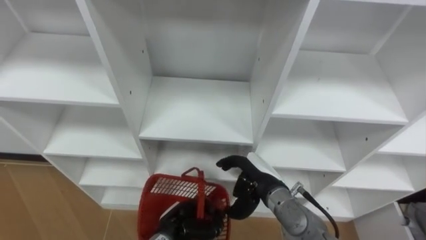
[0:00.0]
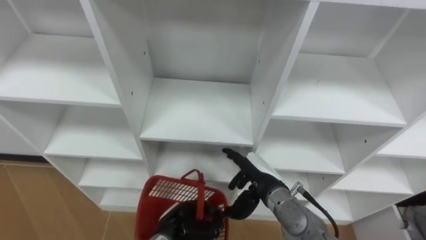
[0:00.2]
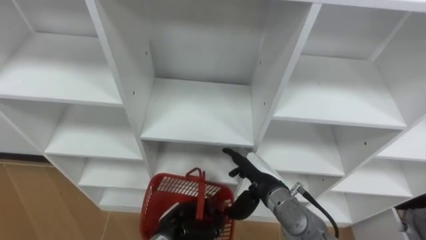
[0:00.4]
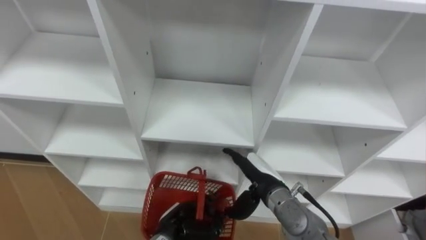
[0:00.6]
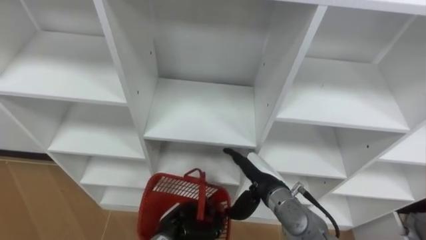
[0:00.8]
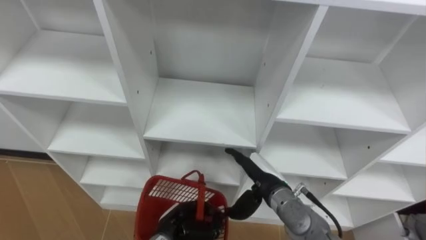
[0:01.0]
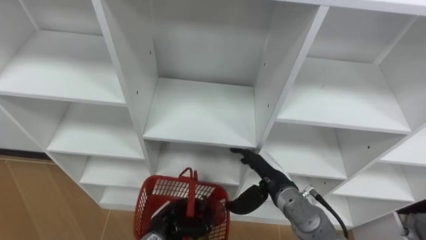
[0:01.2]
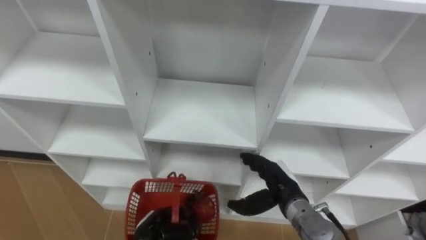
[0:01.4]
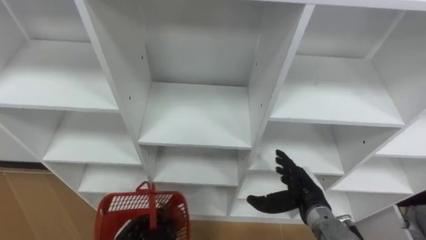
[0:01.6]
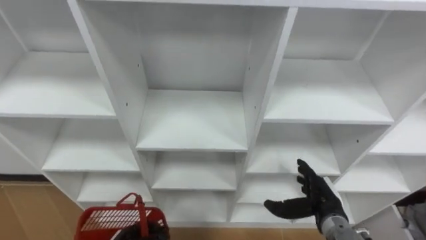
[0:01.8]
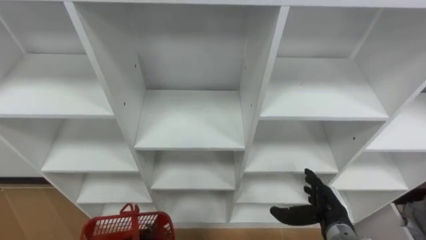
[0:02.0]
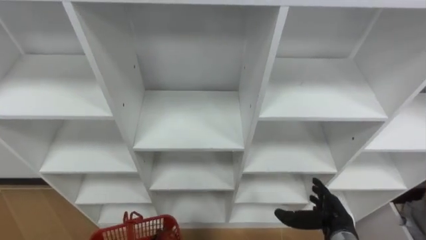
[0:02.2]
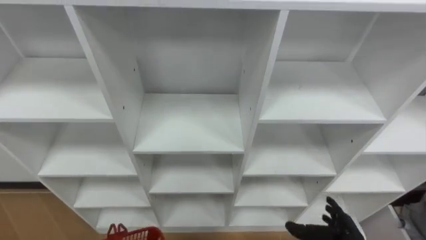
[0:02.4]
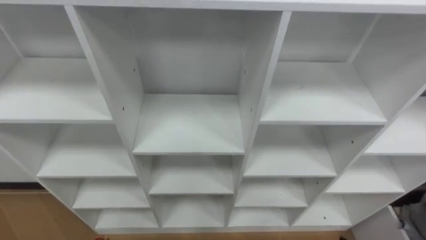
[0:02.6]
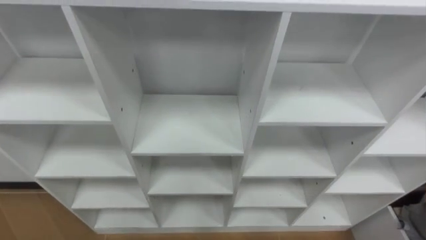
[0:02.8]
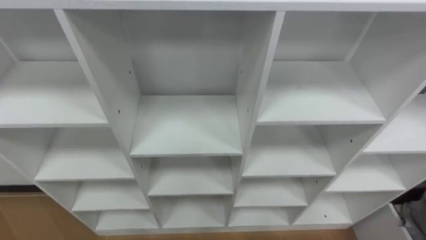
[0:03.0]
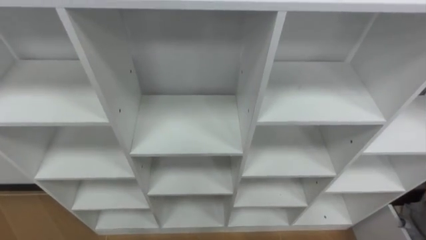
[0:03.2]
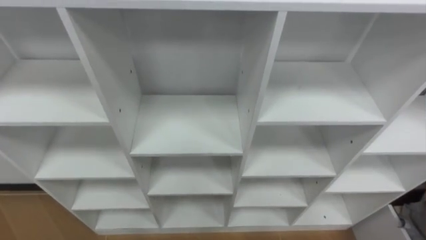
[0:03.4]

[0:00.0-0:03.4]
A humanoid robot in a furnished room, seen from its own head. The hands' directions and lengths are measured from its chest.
Task of the whole recording: Hold the basket and collect the fruits from 3 different cells of the closet into it.
0:00.0 to 0:01.6: The left hand moves to the left, roughly 10 cm; the right hand goes some 10 cm to the right, and opens its fingers.

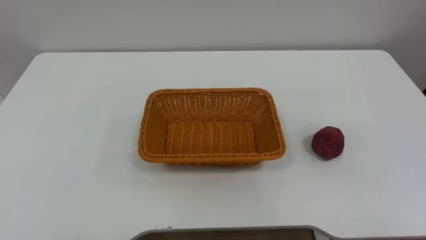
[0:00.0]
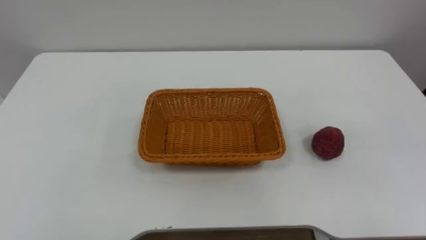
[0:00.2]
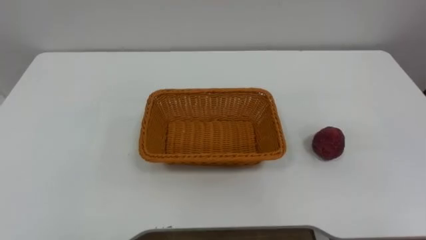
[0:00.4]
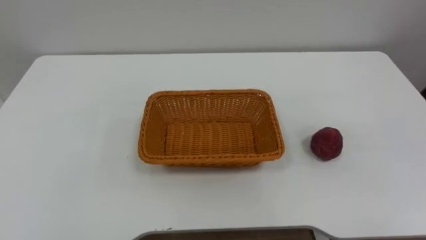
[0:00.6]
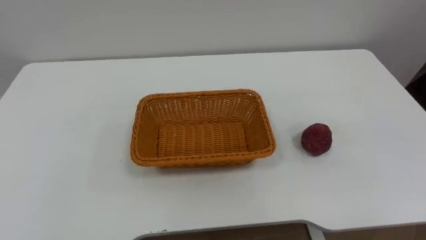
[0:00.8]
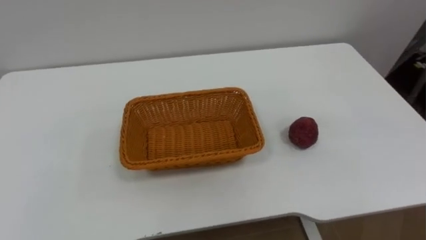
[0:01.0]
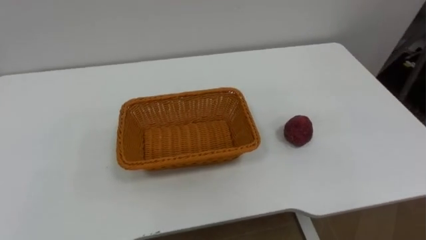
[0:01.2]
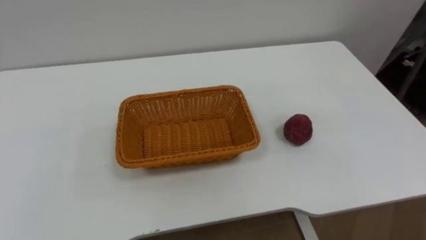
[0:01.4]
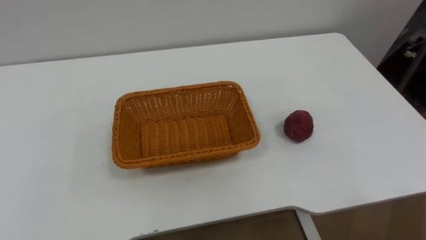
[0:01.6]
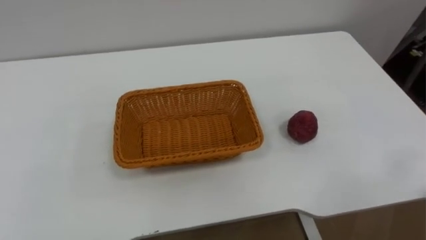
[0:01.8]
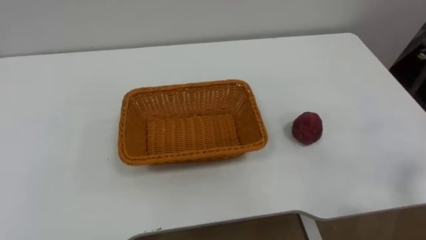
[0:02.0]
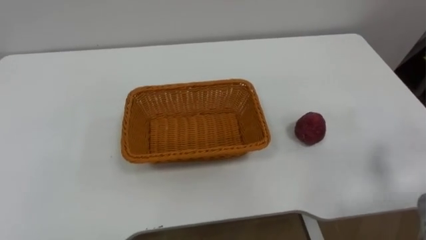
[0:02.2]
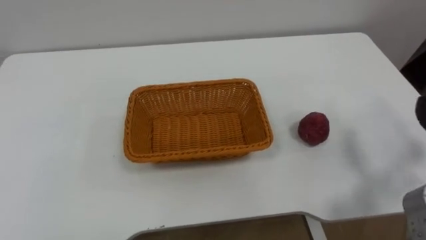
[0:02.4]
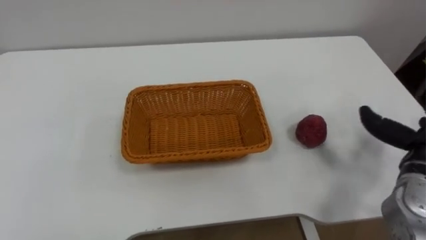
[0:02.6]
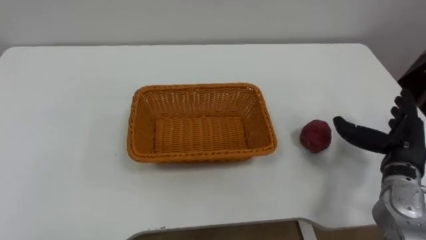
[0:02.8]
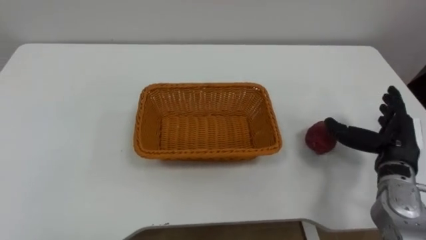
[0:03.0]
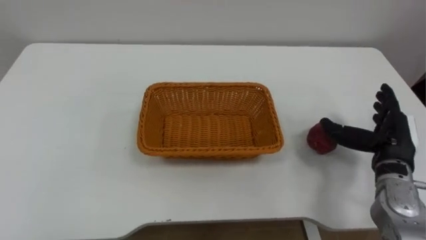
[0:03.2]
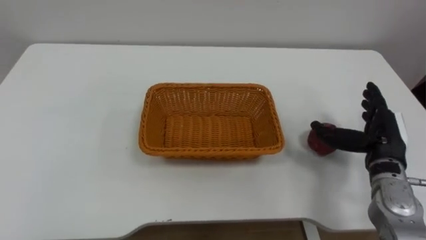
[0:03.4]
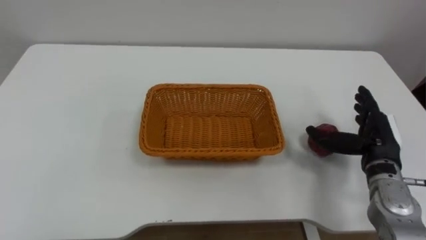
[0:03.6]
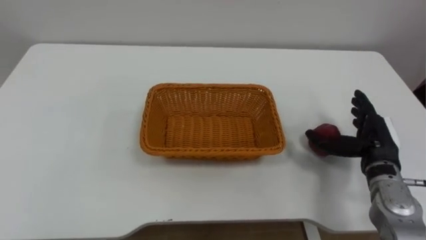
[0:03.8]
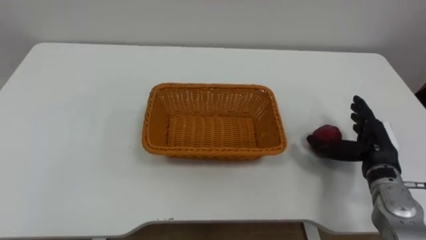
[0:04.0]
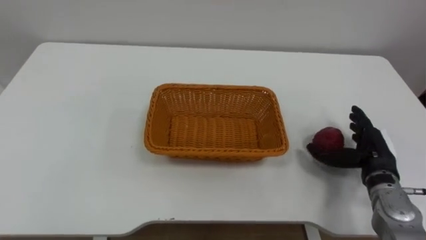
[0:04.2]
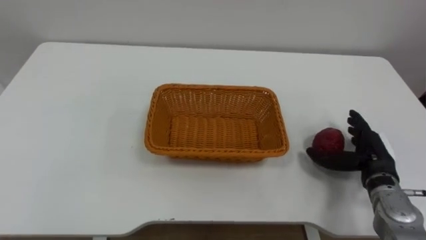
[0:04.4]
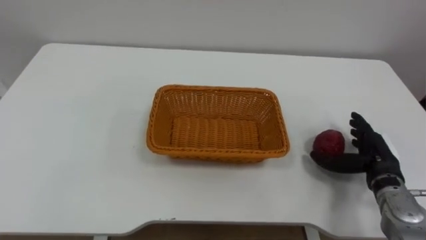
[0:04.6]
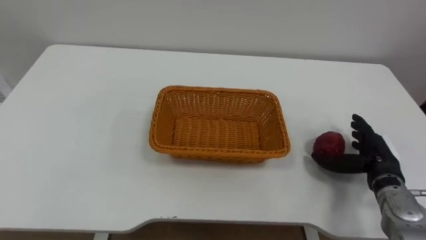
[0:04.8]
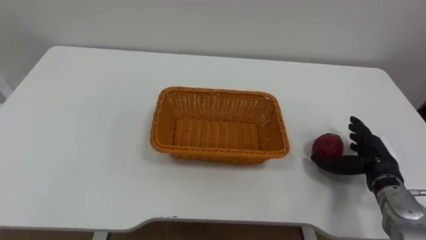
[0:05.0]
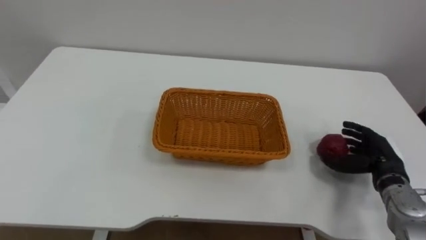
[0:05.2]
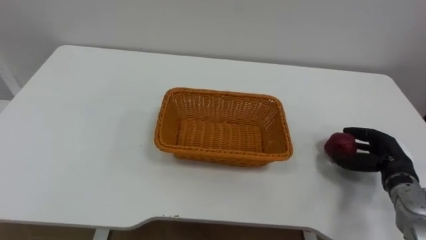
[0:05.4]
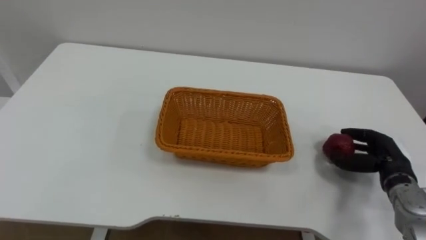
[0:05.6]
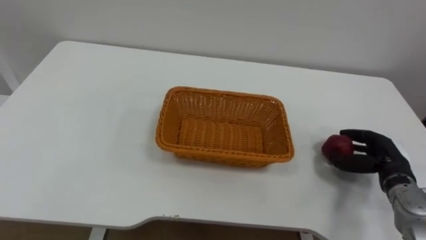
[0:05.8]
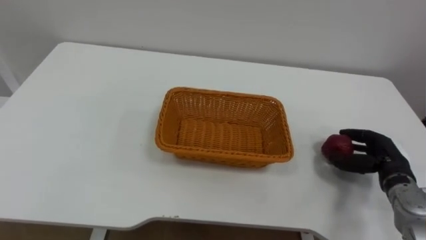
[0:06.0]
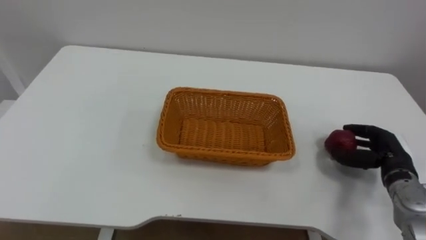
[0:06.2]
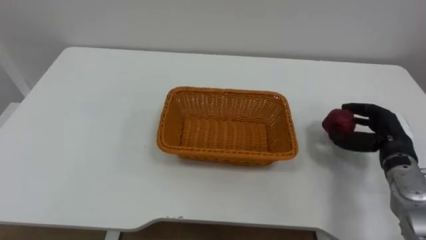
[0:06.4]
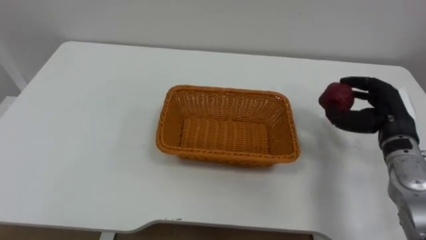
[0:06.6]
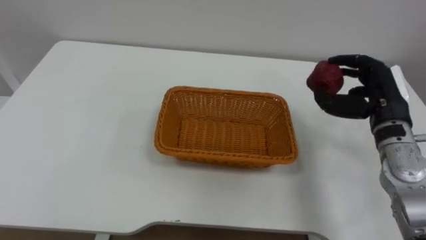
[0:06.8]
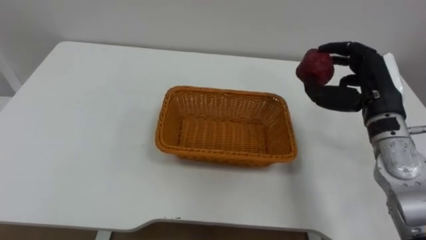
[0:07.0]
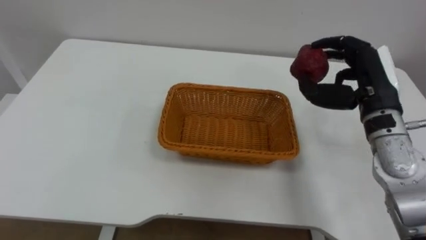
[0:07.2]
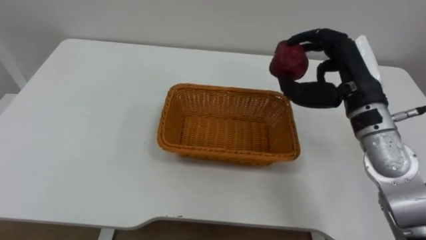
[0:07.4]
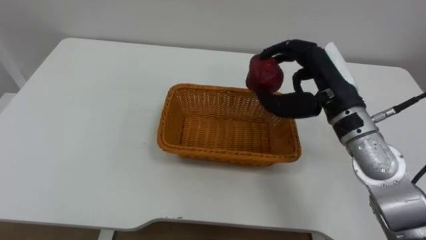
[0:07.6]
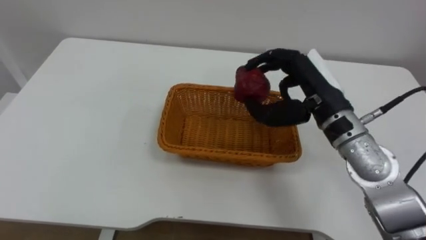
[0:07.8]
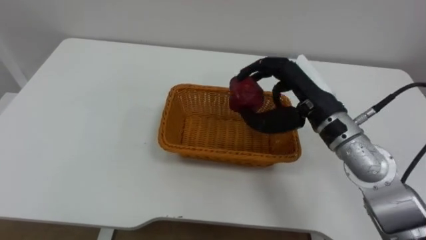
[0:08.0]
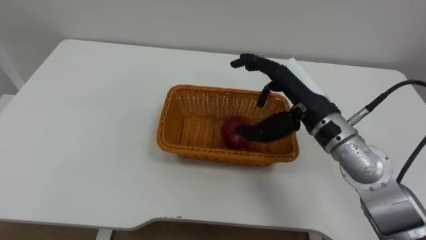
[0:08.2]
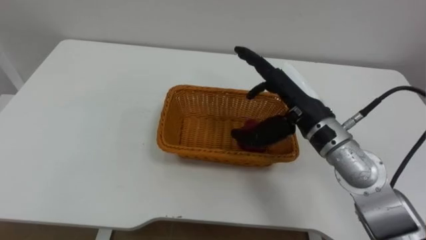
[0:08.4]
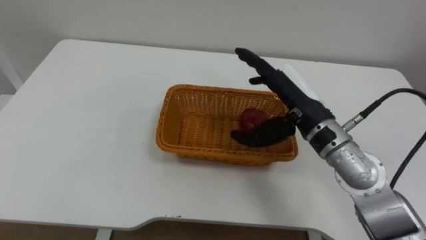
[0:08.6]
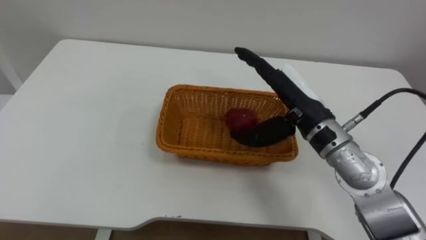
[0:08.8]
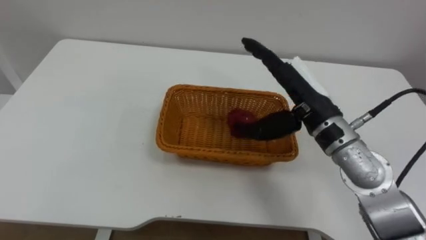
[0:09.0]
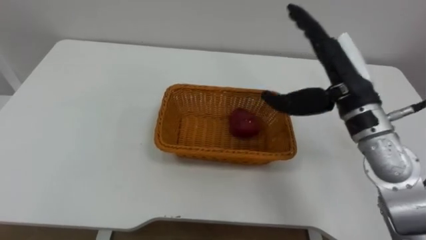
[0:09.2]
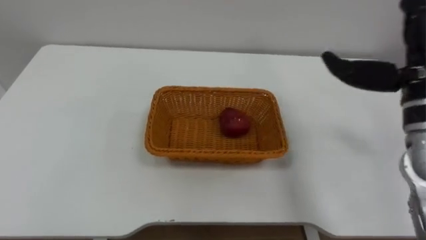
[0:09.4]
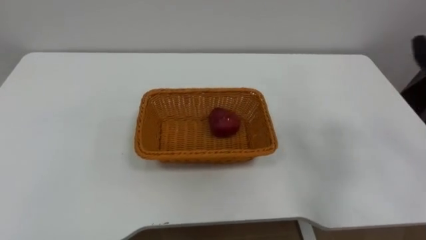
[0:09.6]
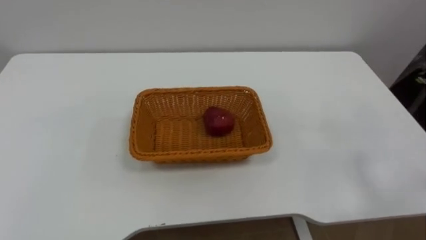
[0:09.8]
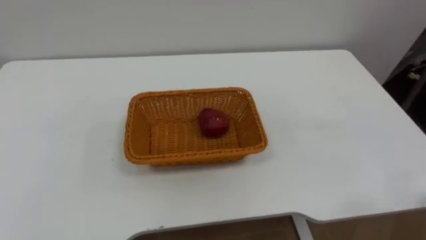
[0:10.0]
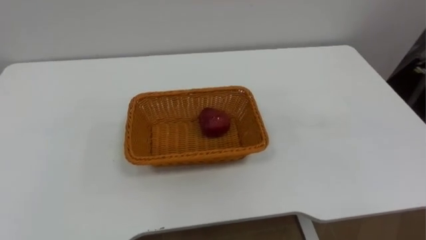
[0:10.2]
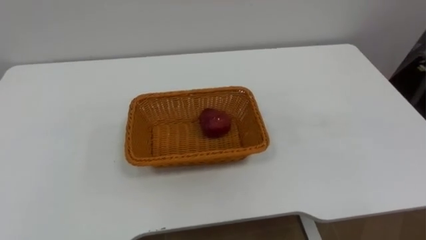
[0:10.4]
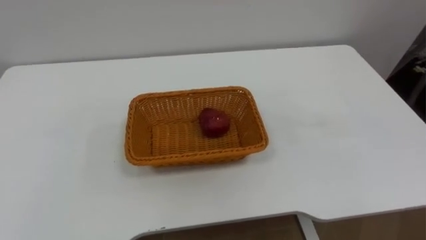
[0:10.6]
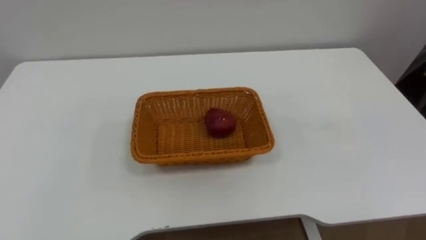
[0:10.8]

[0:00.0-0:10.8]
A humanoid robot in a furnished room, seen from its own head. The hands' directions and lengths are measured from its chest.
Task of the whole recording: Pick the apple and place it in the box.
0:03.0 to 0:04.6: The right hand is displaced downward by some 5 cm.
0:04.6 to 0:06.2: The right hand closes its fingers.
0:06.2 to 0:07.8: The right hand heads to the left and upward, covering approximately 25 cm.
0:07.8 to 0:09.2: The right hand opens.

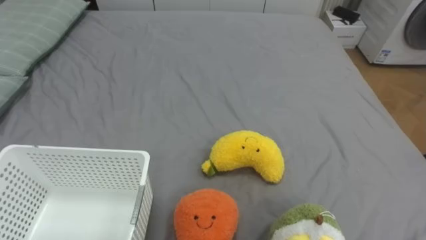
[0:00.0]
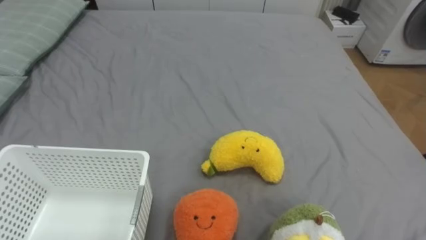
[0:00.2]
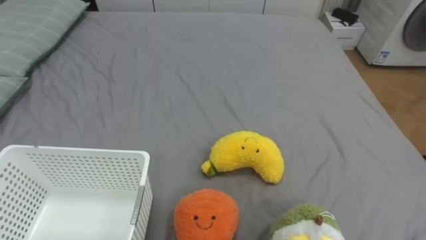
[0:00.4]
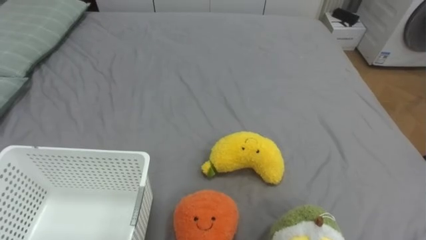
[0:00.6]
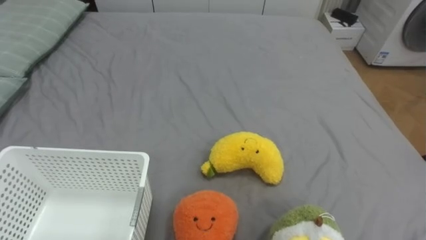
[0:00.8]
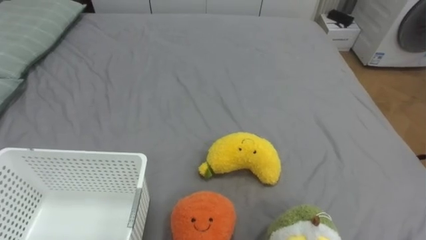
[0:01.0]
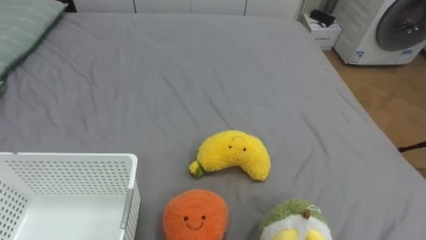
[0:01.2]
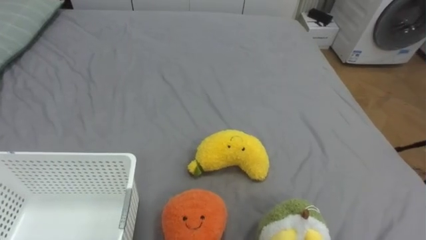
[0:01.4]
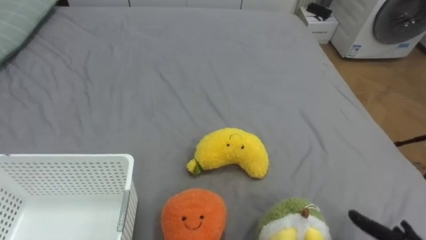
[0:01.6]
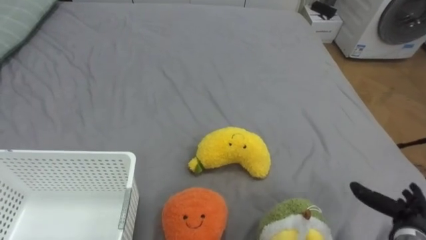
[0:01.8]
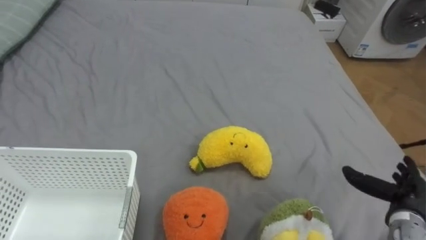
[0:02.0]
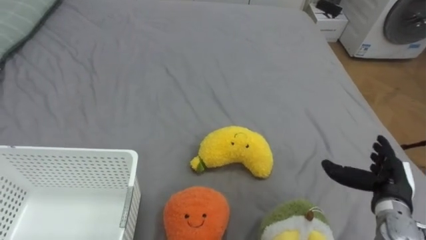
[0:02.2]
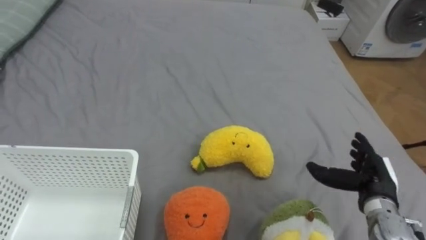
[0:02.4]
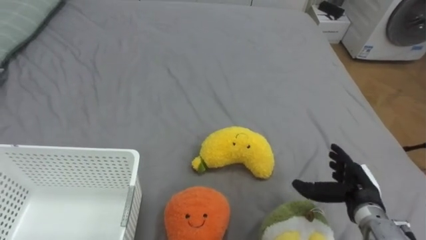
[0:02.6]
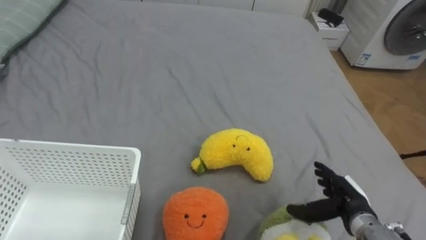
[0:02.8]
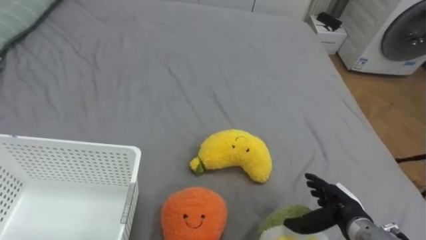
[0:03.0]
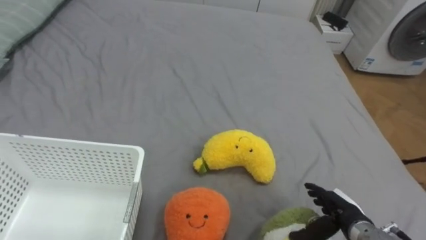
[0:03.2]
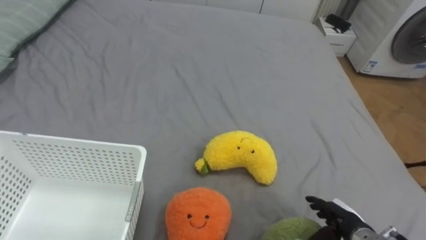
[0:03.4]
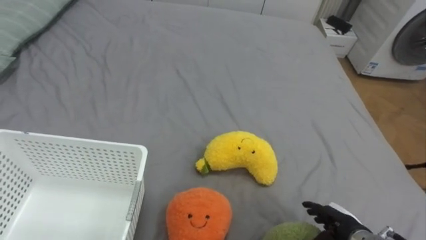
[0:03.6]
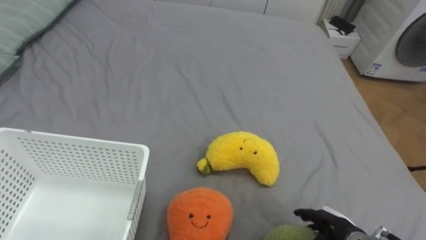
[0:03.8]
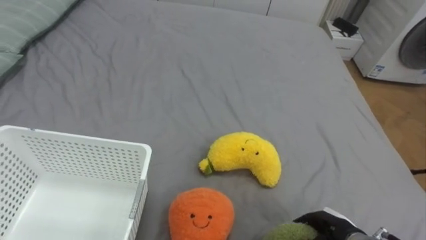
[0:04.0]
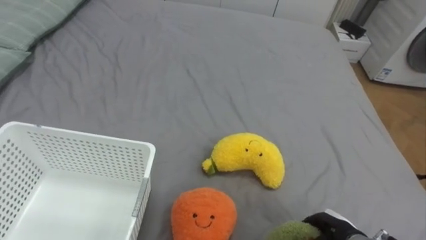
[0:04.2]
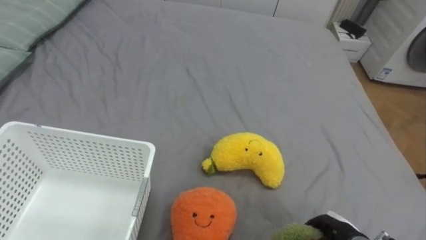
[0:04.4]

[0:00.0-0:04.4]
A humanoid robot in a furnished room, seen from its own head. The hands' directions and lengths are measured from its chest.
Task of the whole recording: Put the toys on the bed into the basket on the left.
0:03.0 to 0:04.4: The right hand shifts by approximately 5 cm, and closes.
